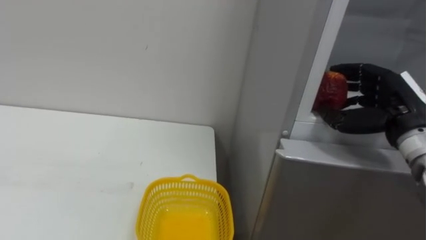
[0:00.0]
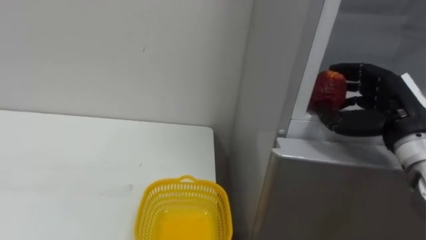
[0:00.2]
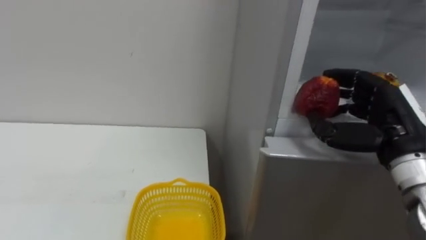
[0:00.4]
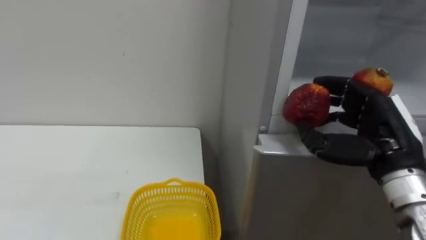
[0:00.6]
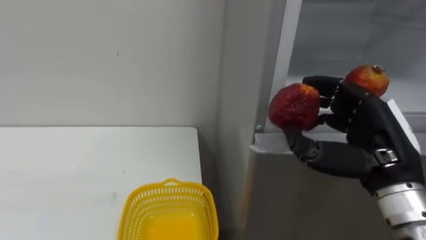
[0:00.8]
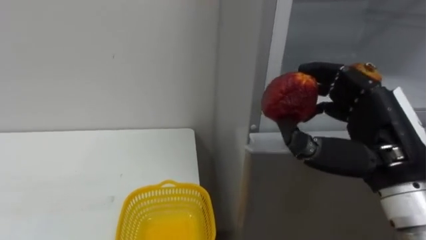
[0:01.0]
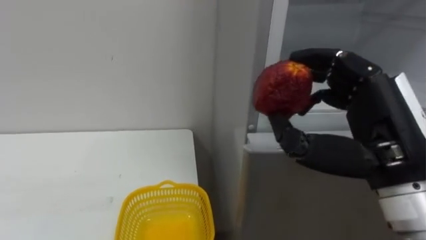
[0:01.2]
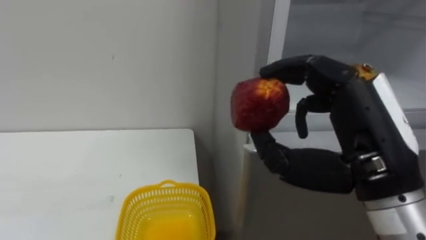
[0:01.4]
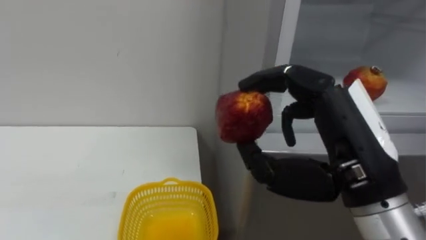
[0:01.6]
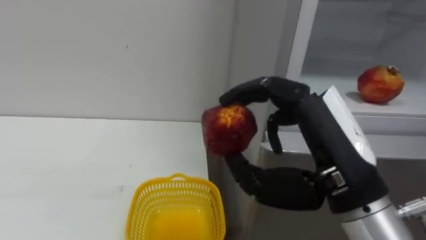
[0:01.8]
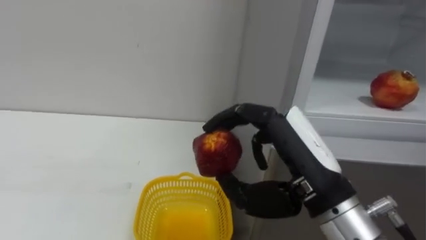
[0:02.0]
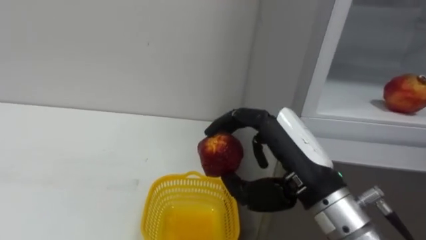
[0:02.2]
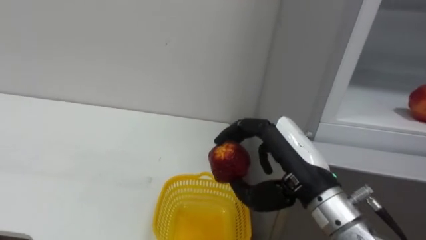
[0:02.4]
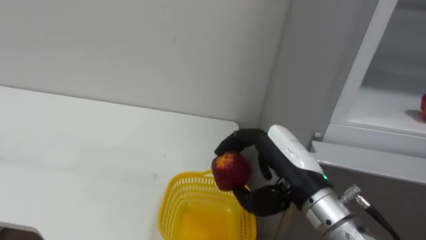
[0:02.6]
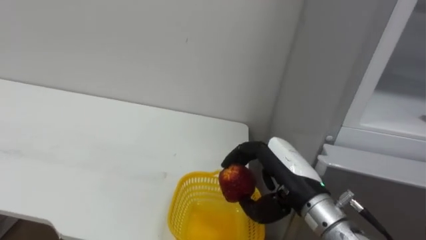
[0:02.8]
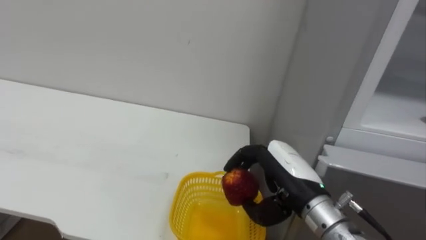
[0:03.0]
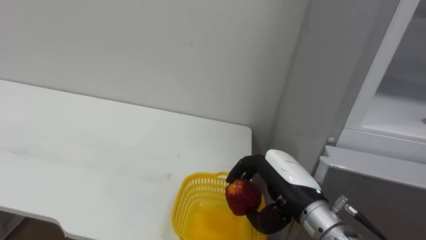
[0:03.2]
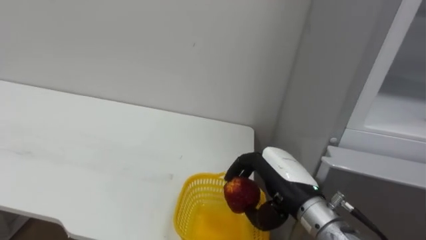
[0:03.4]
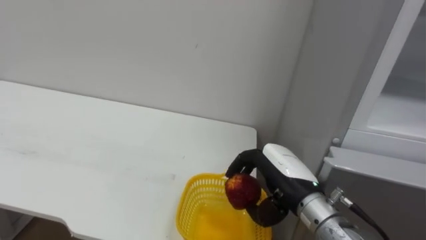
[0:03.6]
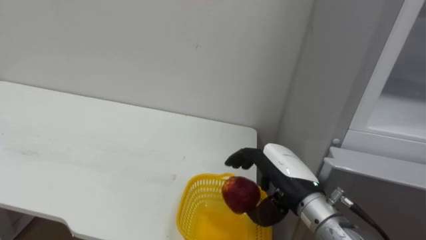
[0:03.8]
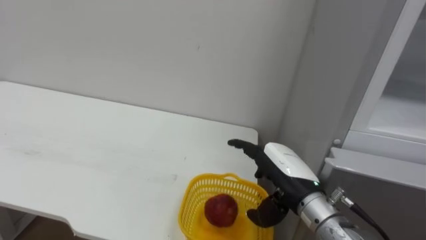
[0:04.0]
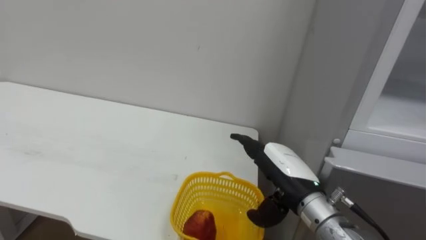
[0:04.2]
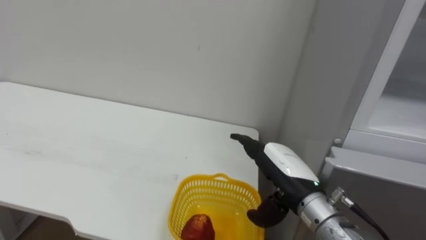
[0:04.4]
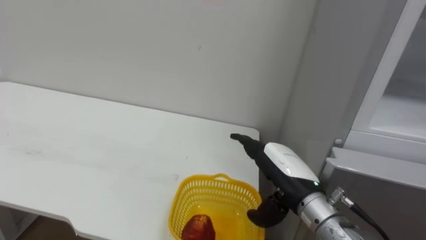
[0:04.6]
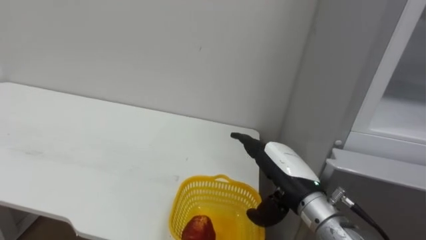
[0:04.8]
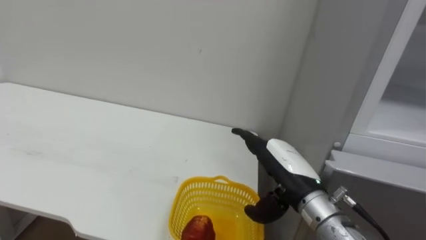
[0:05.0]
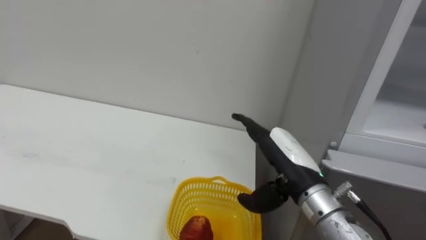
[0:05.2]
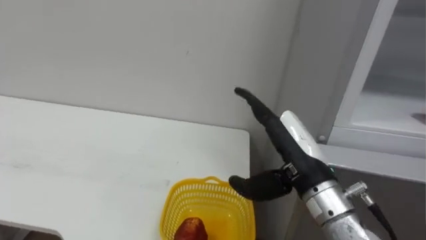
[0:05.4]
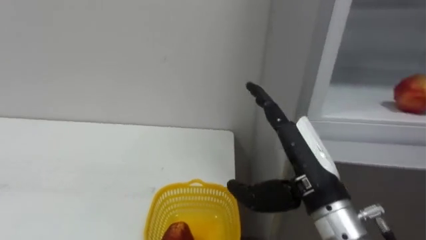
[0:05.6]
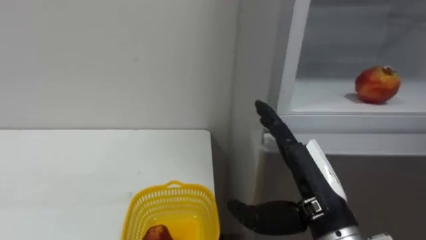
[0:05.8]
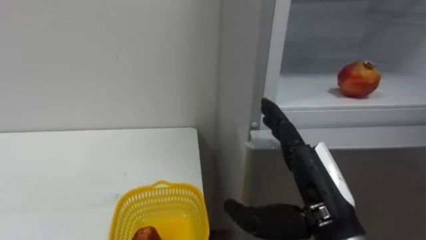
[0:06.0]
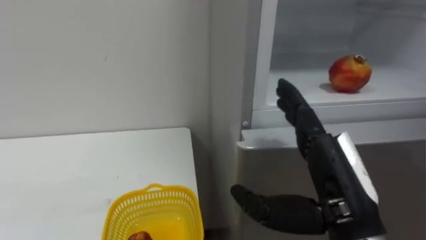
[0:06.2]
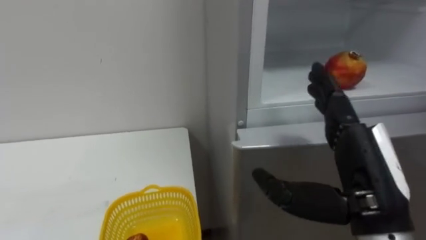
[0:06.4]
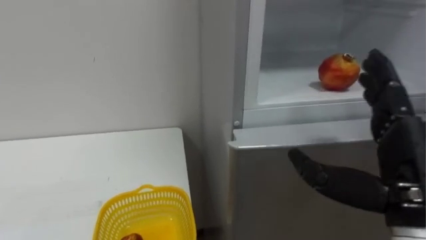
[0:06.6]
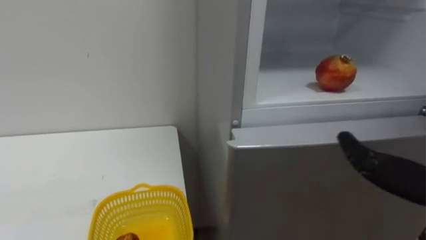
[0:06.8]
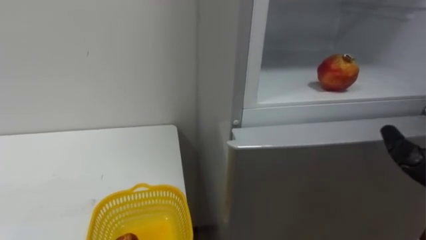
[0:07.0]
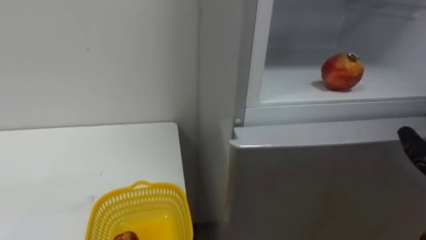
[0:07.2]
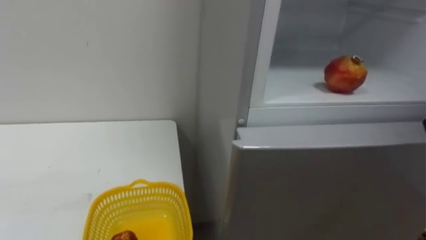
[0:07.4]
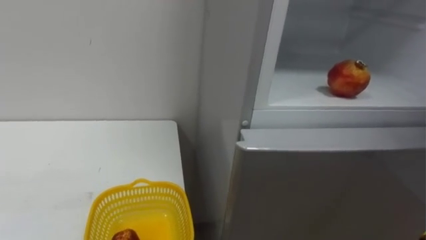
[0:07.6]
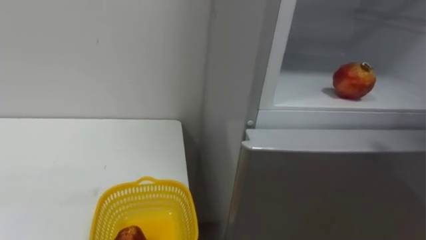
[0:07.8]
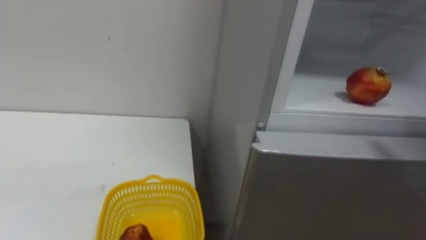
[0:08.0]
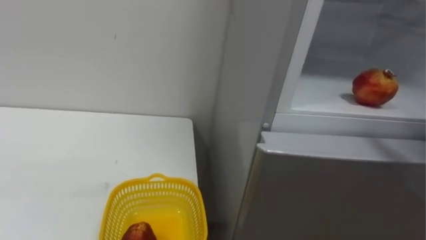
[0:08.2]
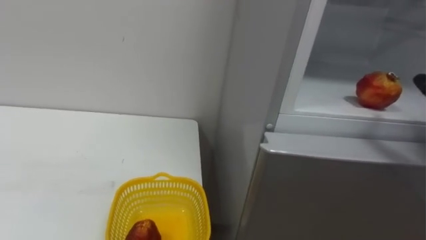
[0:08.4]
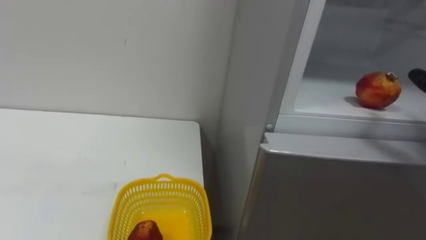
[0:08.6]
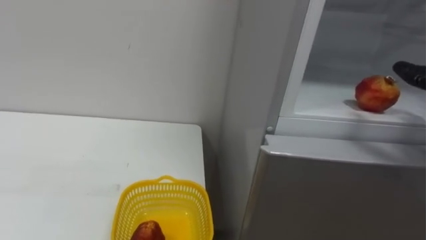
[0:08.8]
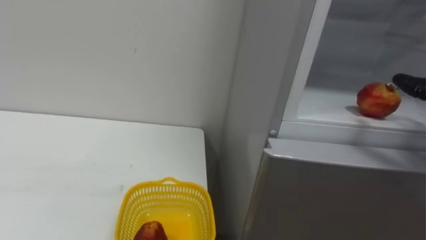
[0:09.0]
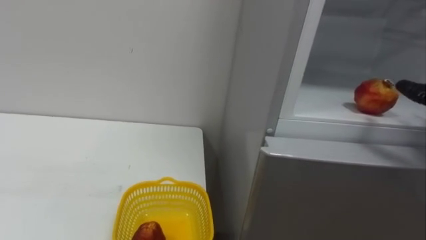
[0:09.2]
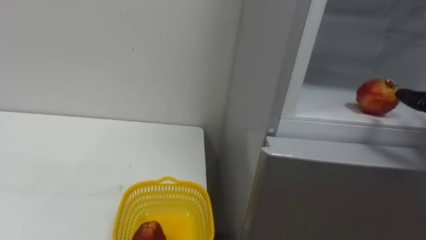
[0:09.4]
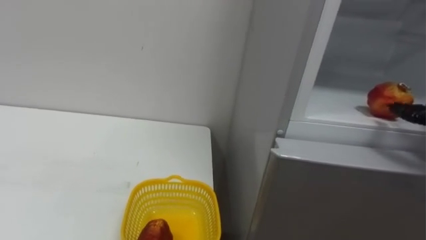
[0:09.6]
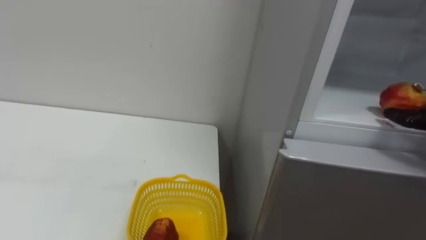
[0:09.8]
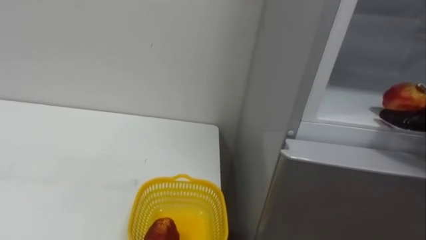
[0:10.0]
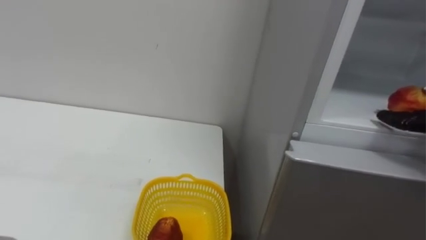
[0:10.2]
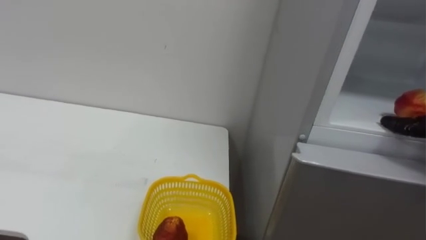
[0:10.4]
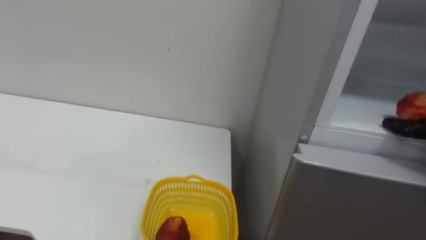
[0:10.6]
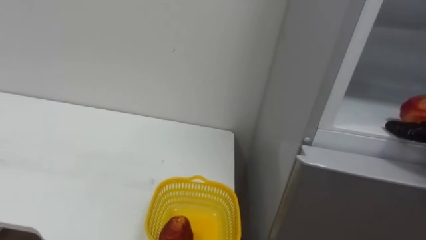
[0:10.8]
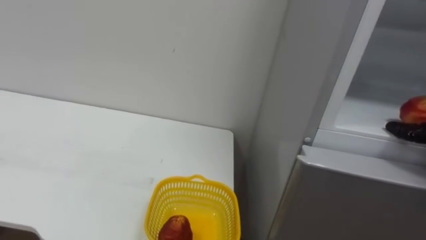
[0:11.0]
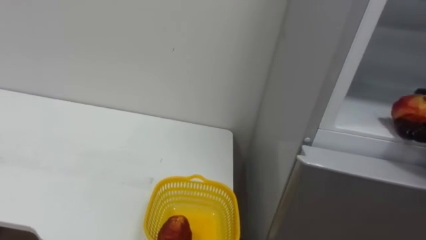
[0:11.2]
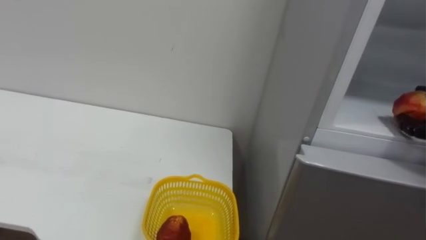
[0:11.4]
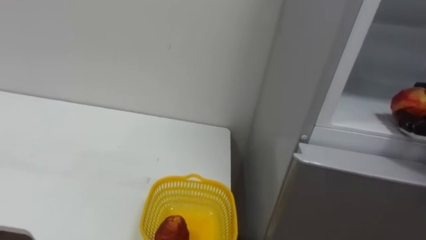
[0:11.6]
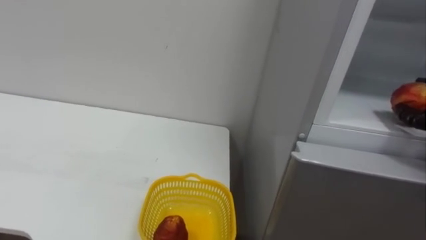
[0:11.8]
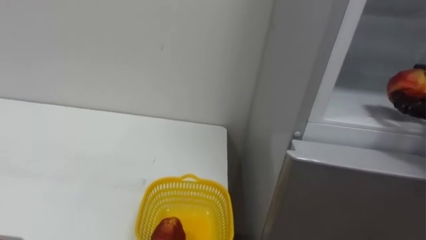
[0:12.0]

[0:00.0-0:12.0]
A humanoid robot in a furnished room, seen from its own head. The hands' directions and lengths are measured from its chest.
Task of the whole recording: Open the refrigerator door, take out the apple and the pomegranate, place them in the fruit basket on the left, and close the refrigerator door.
0:00.0 to 0:01.6: The right hand moves backward and to the left, approximately 20 cm.
0:01.6 to 0:03.0: The right hand travels downward and forward by roughly 15 cm.
0:03.0 to 0:04.4: The right hand opens up.
0:04.4 to 0:06.0: The right hand goes roughly 10 cm backward and upward.

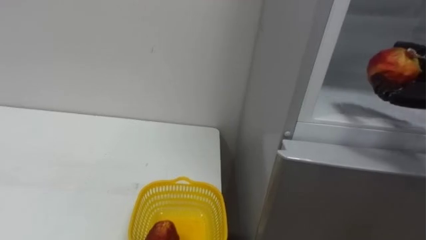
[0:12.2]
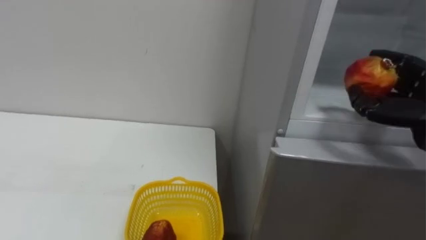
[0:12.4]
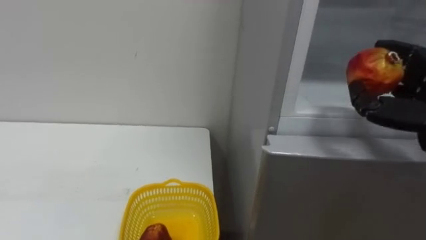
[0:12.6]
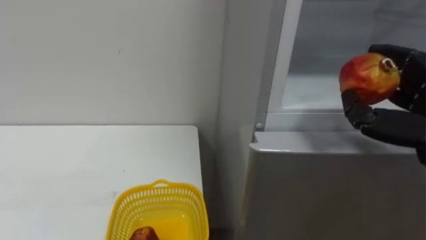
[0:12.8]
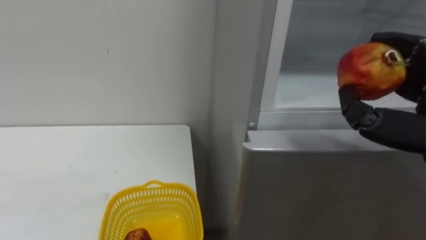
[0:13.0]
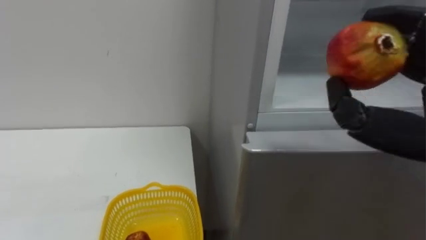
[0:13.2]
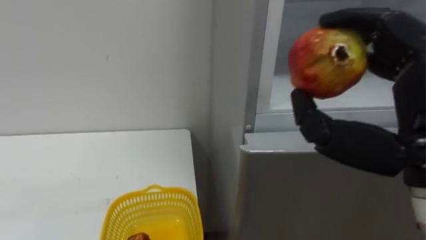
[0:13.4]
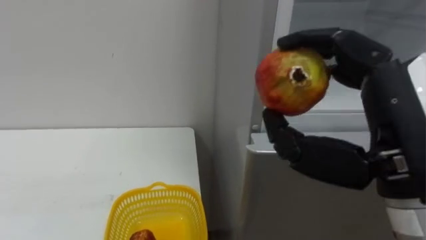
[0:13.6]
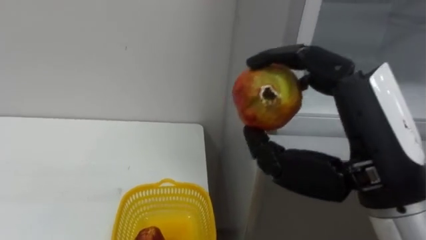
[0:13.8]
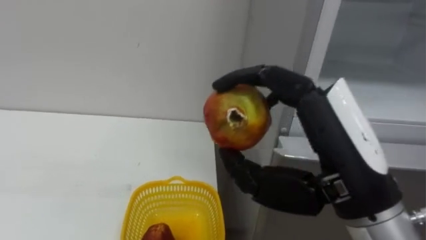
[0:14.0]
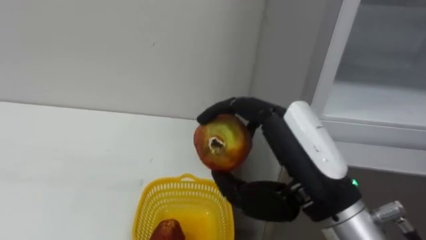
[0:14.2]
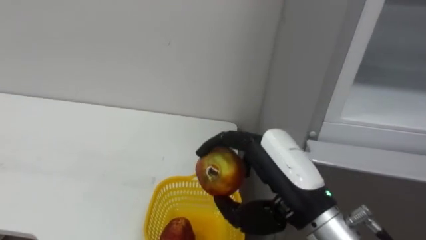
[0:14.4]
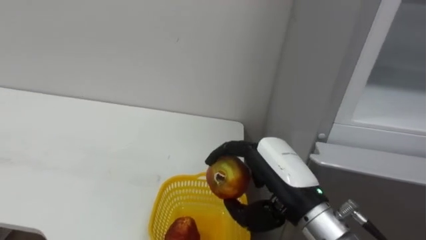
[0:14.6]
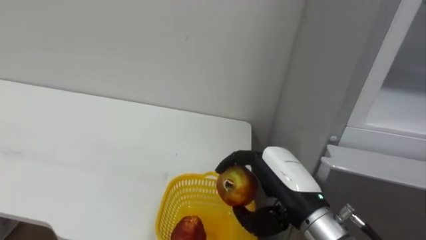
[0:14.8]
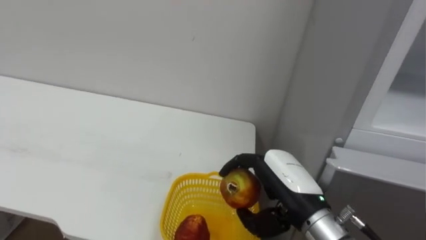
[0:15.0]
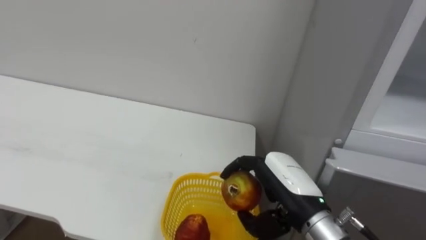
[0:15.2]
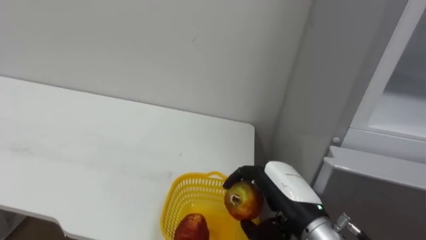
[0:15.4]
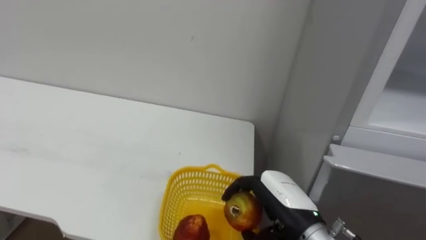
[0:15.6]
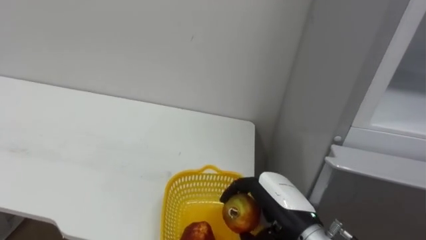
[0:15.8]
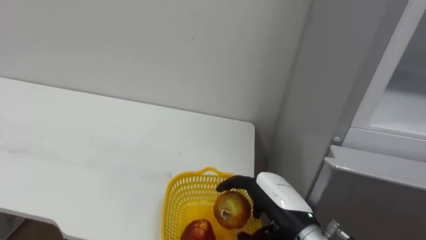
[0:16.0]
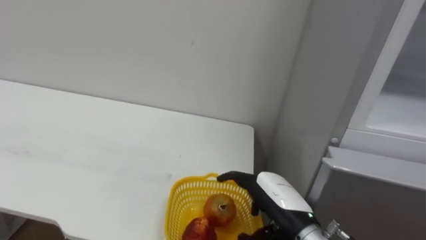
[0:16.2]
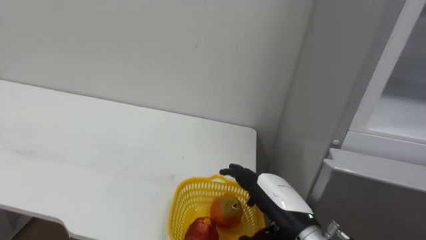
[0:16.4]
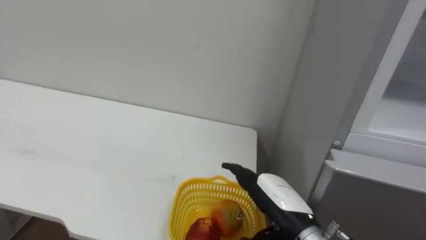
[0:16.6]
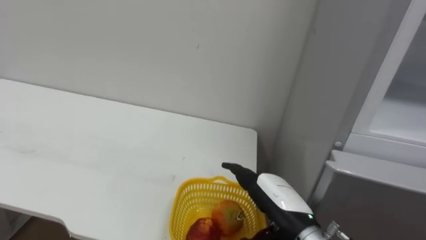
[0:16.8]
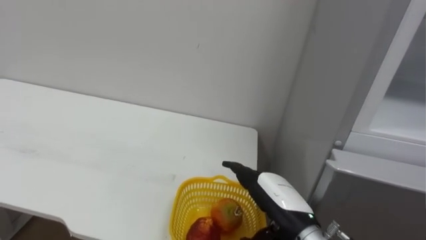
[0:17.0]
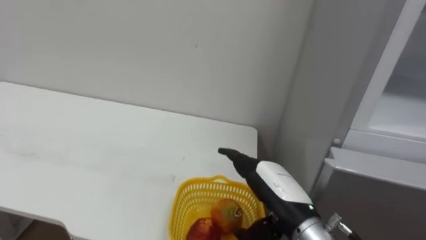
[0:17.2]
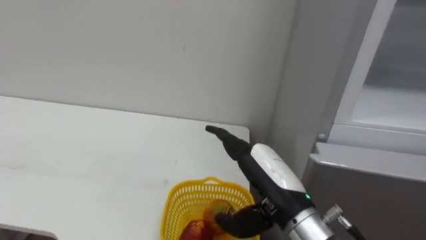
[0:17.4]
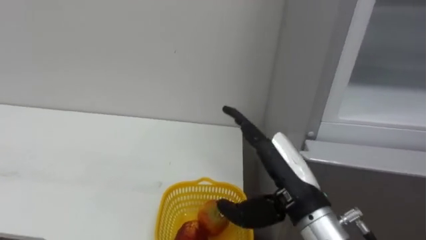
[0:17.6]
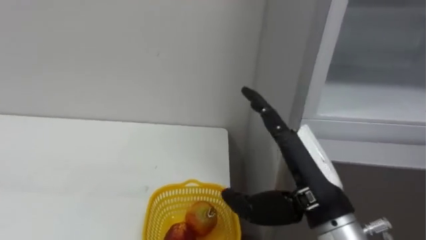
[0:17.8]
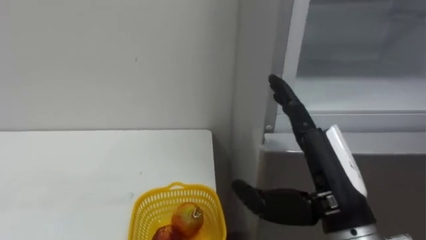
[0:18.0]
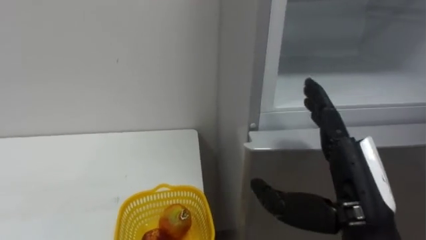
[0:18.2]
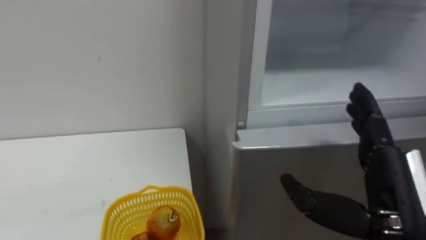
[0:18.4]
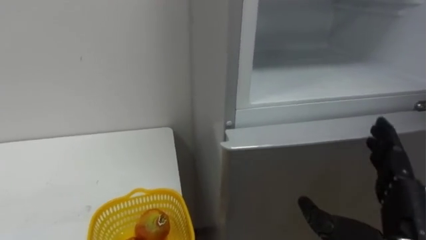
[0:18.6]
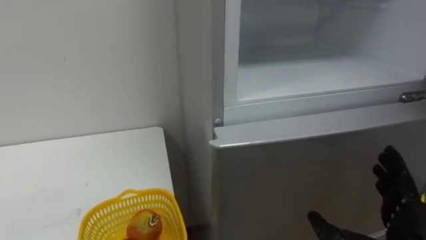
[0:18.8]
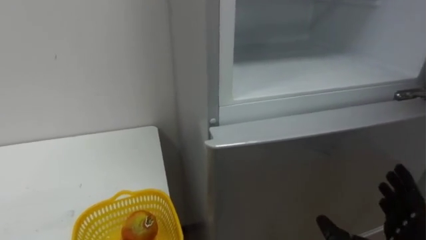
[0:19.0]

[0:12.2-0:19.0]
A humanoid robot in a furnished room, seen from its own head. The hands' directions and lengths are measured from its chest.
Task of the whole recording: Open the refrigerator door, take out the apple and the pomegranate, place them in the fruit basket on the left, and close the refrigerator door.
0:13.6 to 0:15.0: The right hand travels downward and forward by approximately 20 cm.
0:16.2 to 0:17.6: The right hand goes some 10 cm upward.
